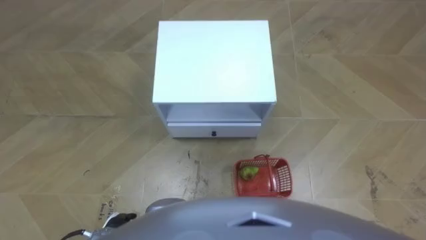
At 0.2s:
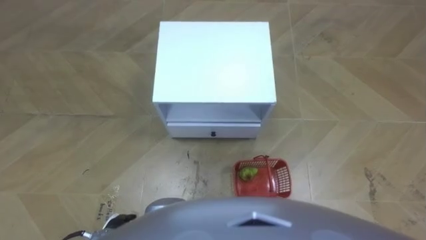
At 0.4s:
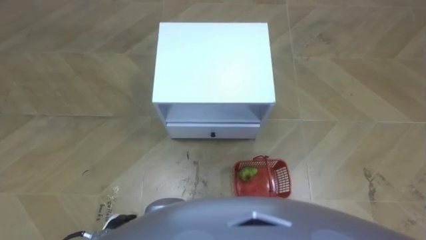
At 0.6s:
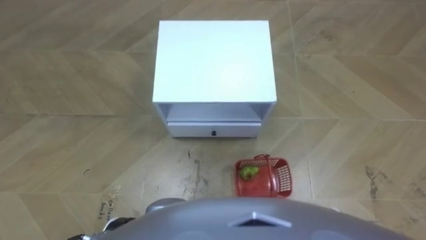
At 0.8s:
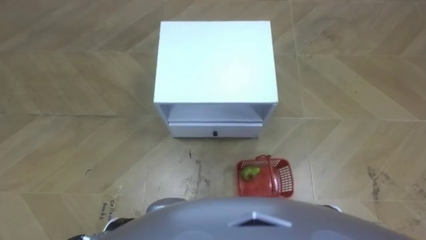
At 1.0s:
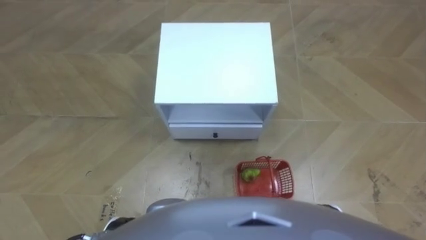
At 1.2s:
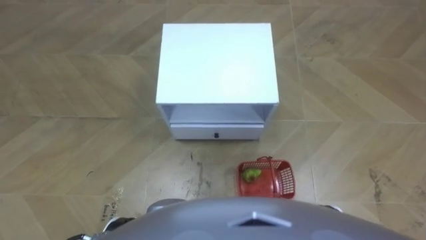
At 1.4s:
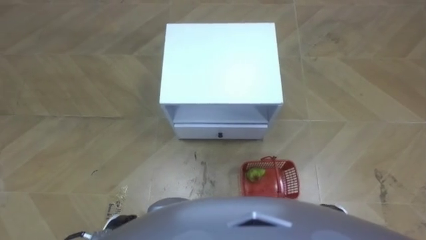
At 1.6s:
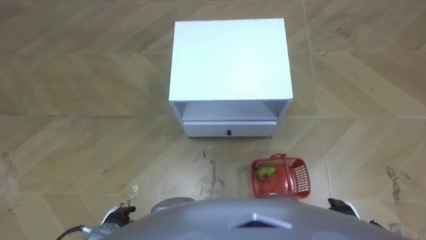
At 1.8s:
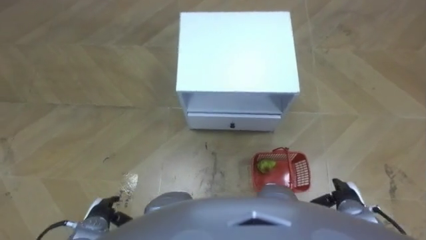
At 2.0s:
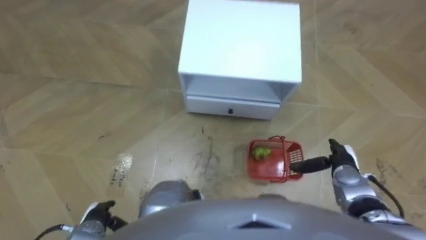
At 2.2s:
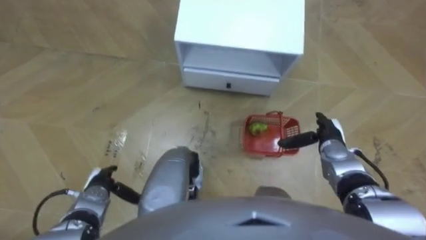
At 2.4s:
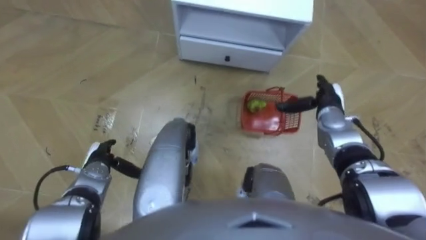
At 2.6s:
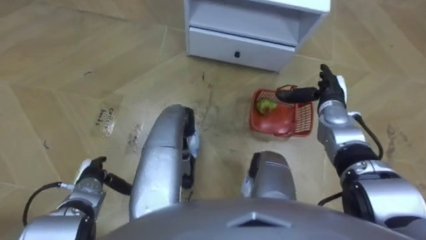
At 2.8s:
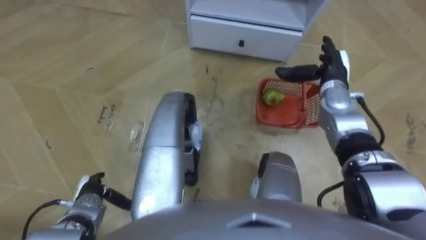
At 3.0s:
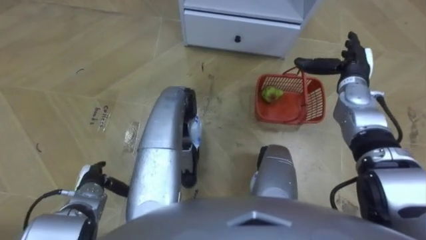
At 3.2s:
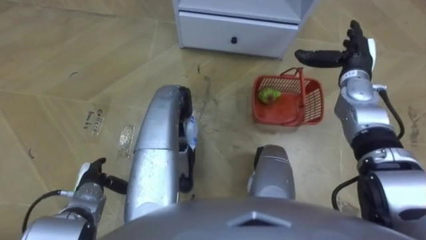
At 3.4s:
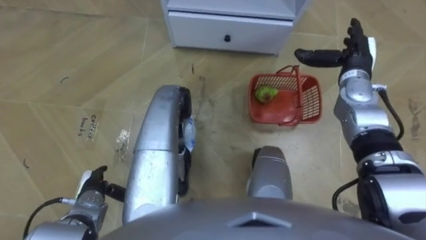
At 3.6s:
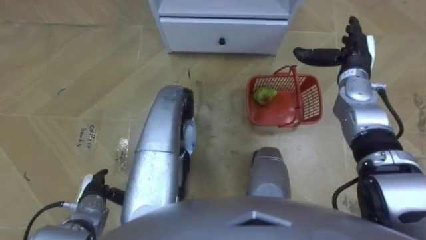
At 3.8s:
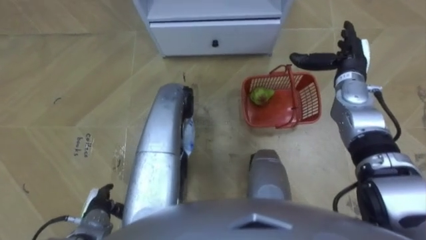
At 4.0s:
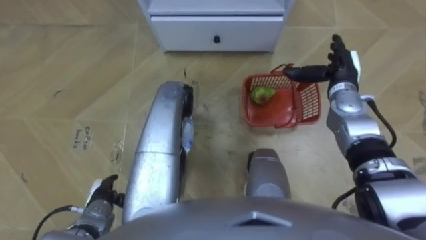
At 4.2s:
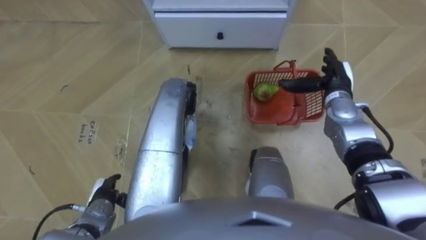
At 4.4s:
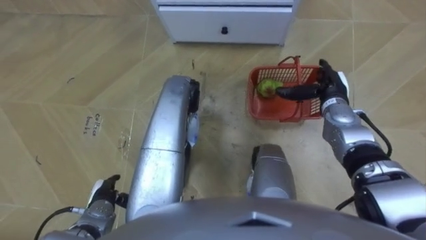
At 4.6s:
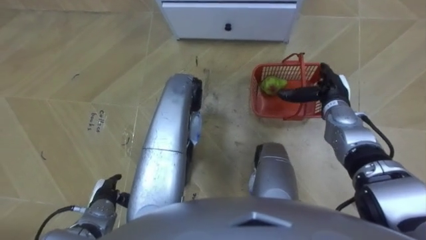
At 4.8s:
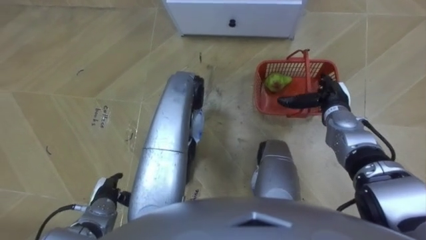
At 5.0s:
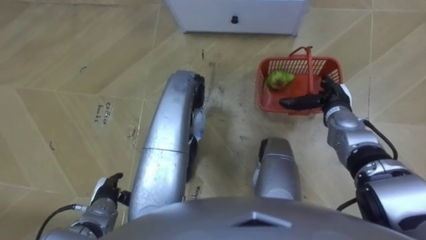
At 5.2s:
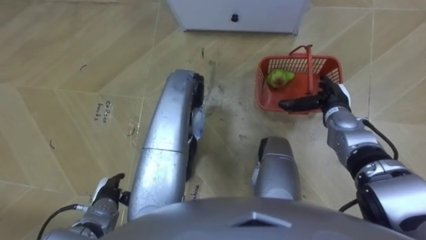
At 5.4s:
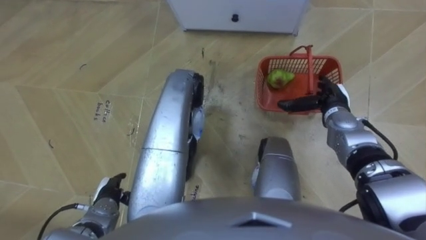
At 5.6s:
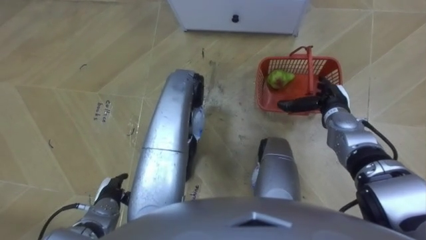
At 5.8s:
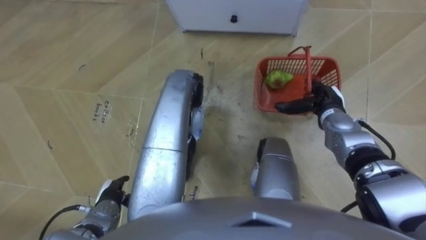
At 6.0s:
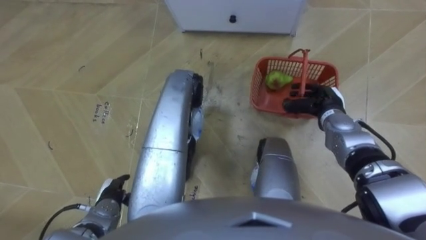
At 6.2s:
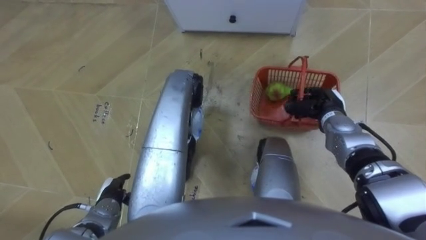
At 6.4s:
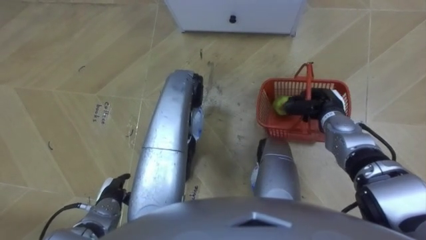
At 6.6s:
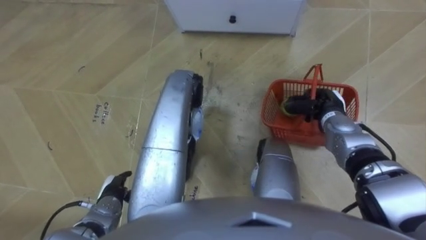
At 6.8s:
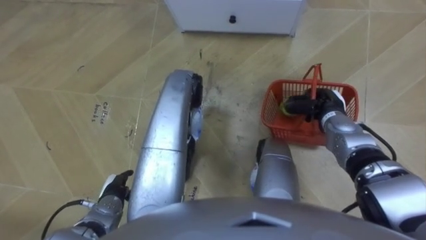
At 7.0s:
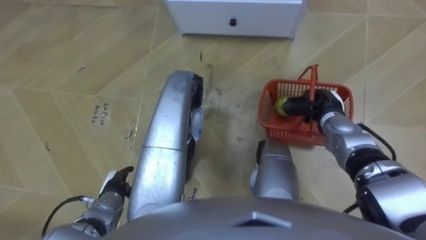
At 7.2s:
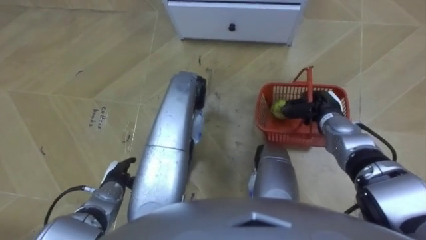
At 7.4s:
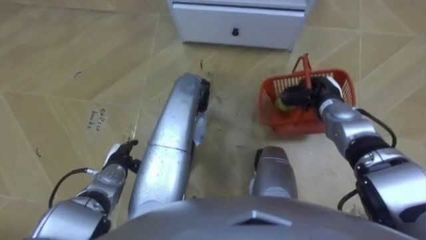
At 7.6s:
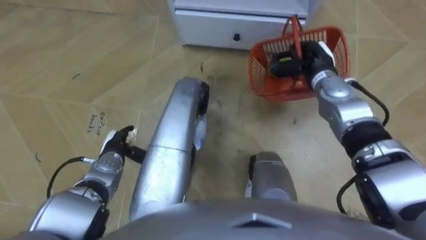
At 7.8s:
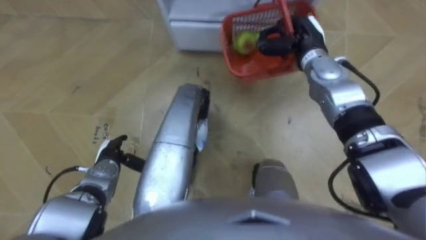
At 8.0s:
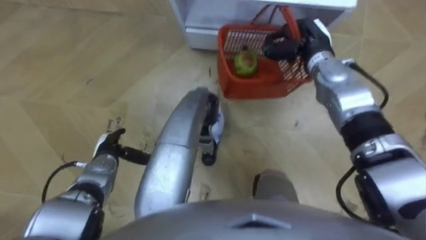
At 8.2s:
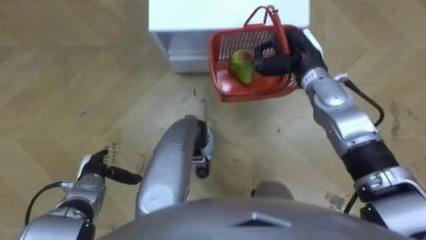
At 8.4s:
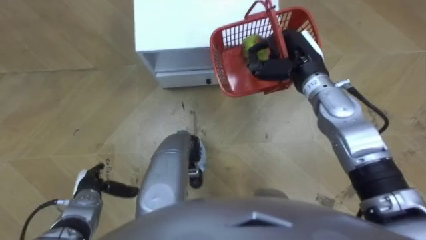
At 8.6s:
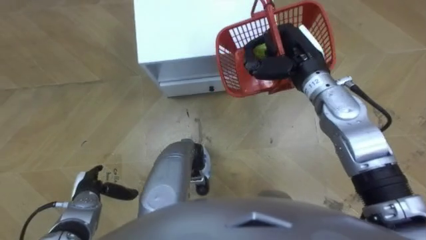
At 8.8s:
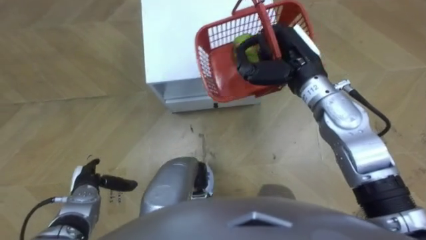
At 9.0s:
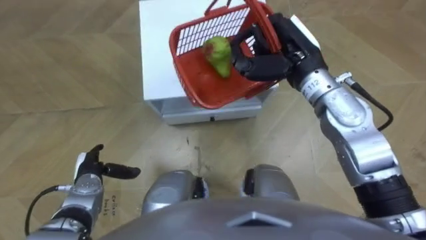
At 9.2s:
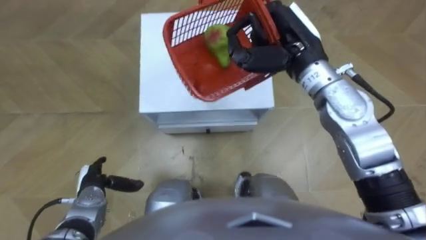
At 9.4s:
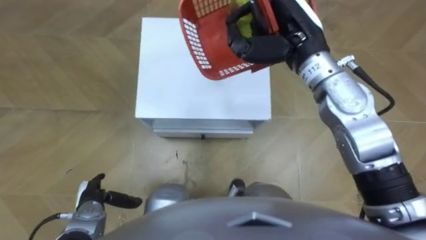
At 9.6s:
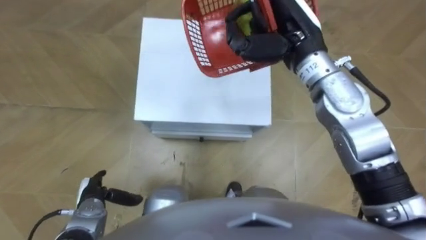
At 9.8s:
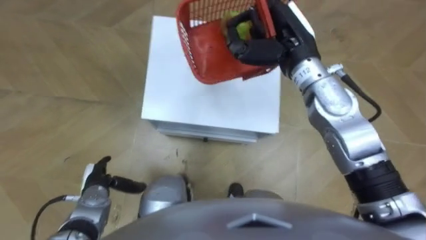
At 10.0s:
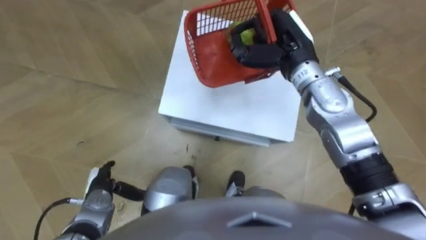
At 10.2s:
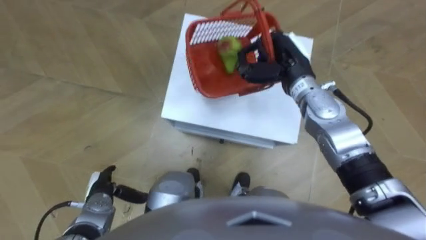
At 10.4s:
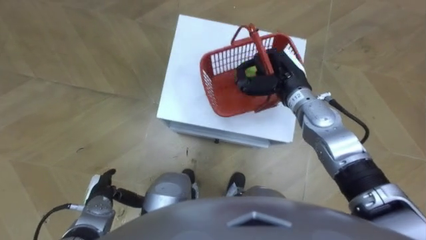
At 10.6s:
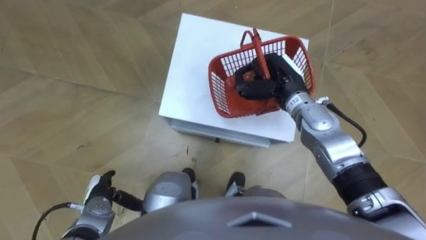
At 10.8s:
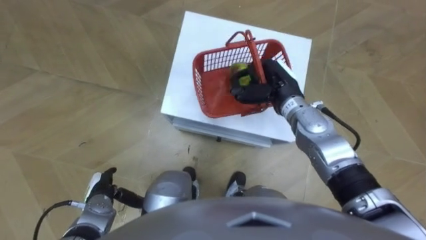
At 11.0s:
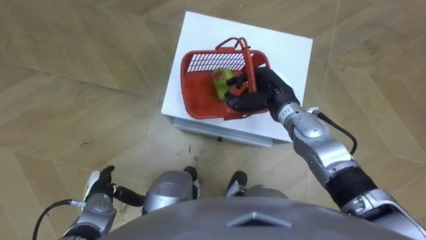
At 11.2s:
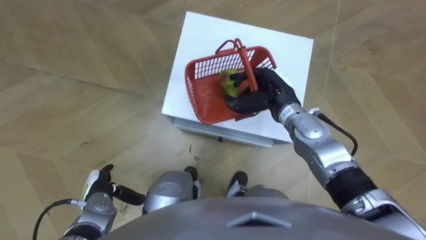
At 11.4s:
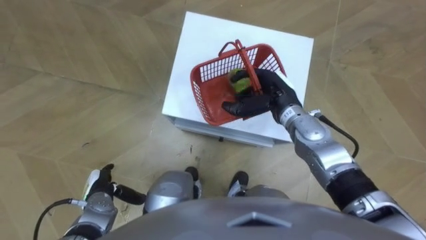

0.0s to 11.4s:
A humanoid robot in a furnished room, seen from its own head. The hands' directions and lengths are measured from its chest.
Task of the whole recording: Pick up the fruit basket from the floor and place it on the cabinet.
1.4s to 2.8s: The right hand travels forward and upward by some 35 cm. Meanwhile the left hand heads forward and to the left, covering roughly 10 cm.
4.2s to 5.6s: The right hand moves roughly 5 cm.
5.6s to 7.2s: The right hand closes its fingers.
7.2s to 8.6s: The left hand heads to the left, covering some 5 cm, and travels forward and back again, some 5 cm each way. Meanwhile the right hand moves upward and to the left, about 20 cm.
10.0s to 11.4s: The right hand is displaced downward by about 10 cm, and opens.

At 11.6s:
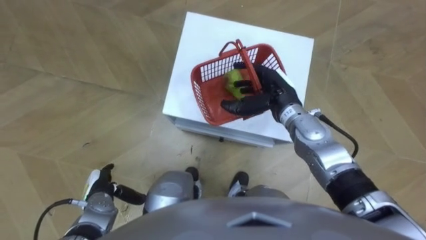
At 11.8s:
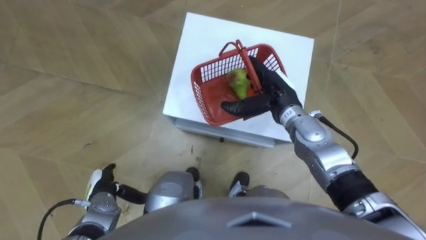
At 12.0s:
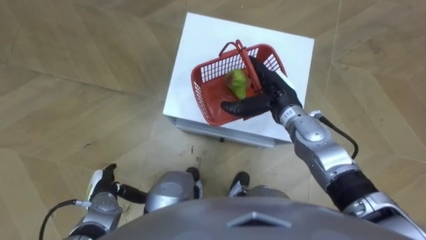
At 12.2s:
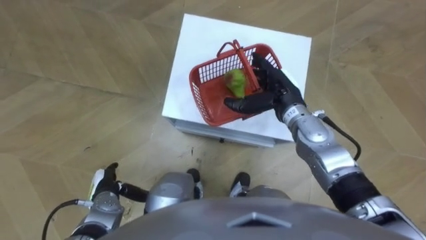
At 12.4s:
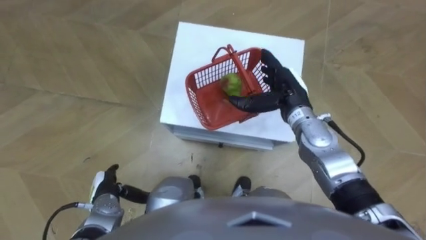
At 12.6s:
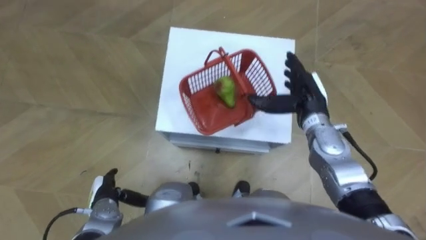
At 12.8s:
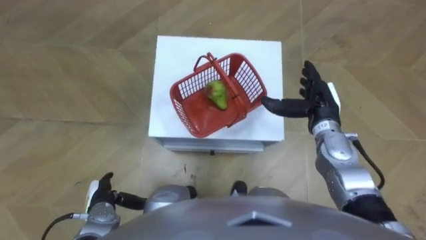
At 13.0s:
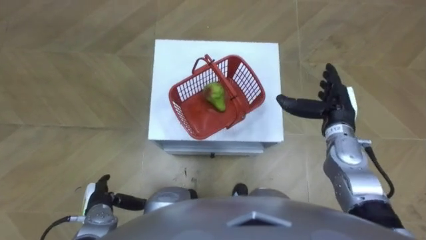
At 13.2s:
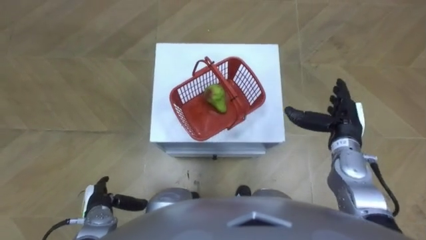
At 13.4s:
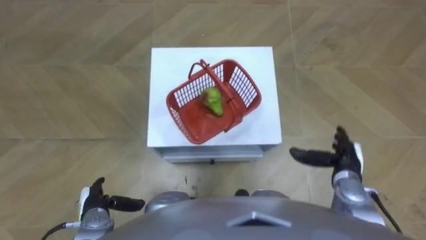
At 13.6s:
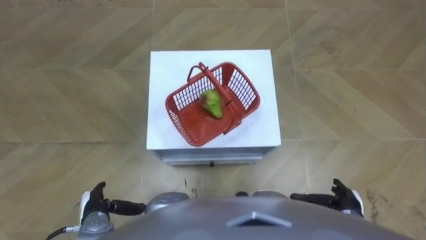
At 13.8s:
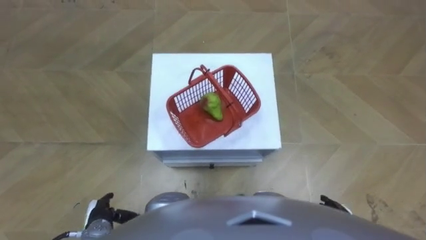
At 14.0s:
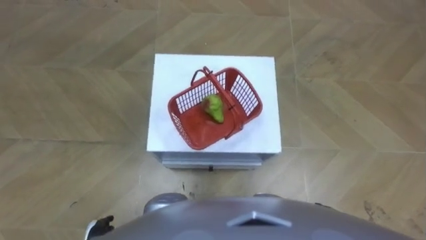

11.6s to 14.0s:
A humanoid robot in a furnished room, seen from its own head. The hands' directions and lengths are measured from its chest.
Task of the whole recording: Pick up the fruit basket from the floor and place it on the cabinet.
11.6s to 12.8s: The right hand shifts some 10 cm to the right.
12.8s to 14.0s: The right hand heads backward and downward, covering some 30 cm. The left hand heads backward, covering approximately 10 cm.

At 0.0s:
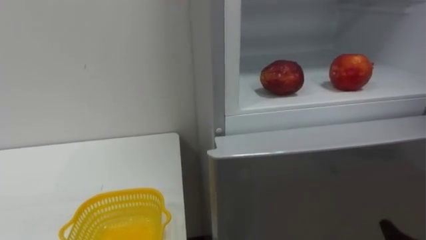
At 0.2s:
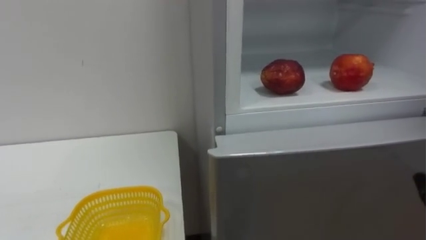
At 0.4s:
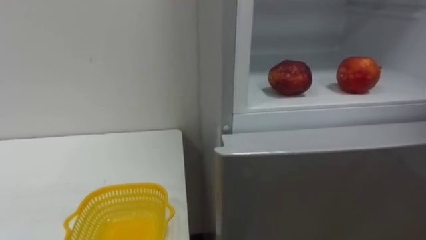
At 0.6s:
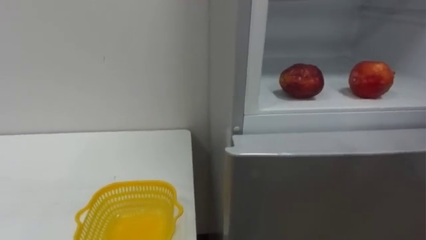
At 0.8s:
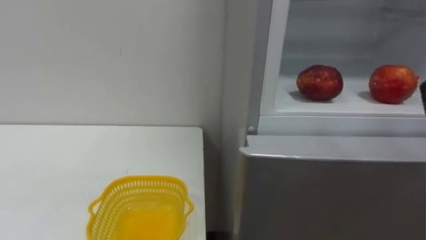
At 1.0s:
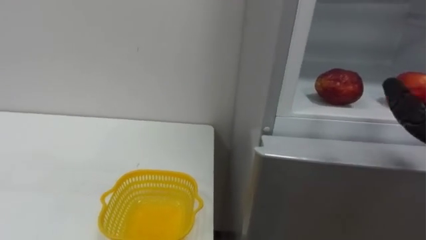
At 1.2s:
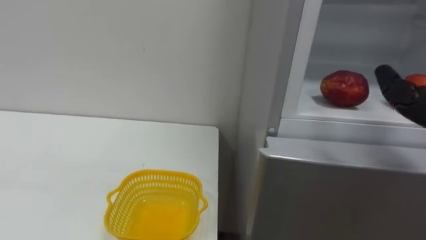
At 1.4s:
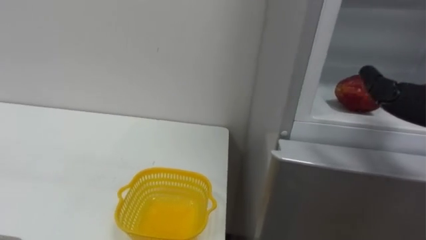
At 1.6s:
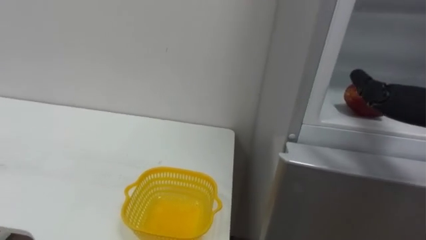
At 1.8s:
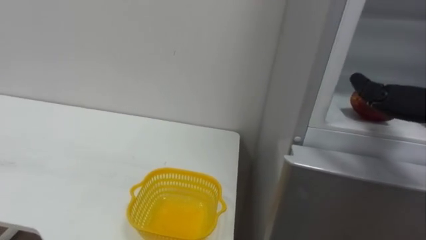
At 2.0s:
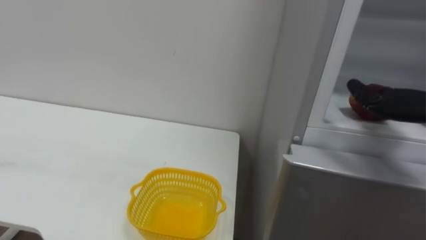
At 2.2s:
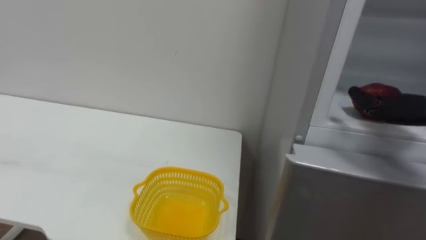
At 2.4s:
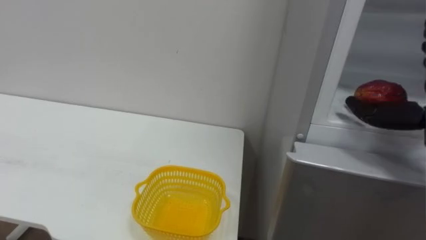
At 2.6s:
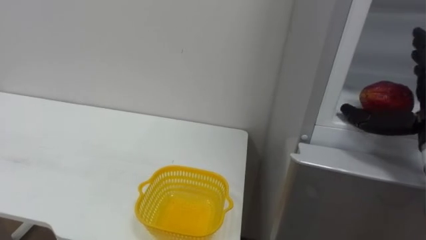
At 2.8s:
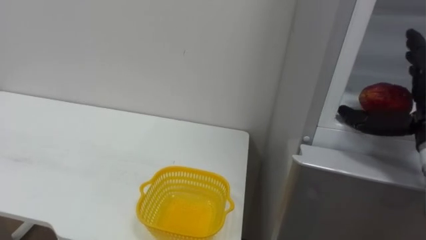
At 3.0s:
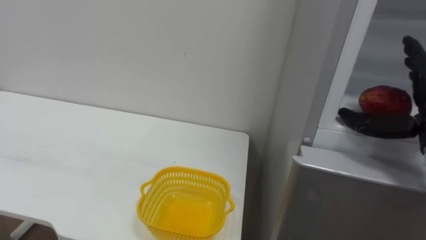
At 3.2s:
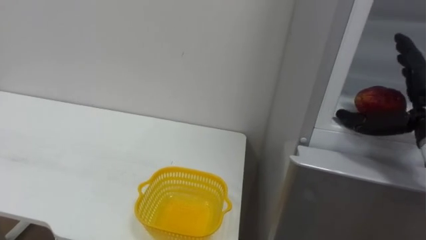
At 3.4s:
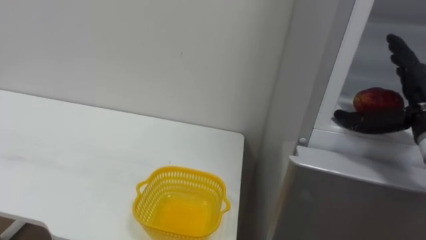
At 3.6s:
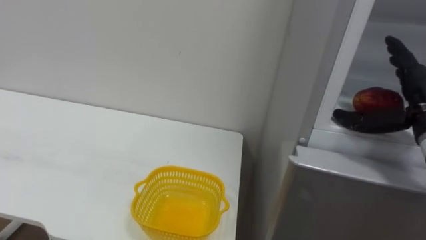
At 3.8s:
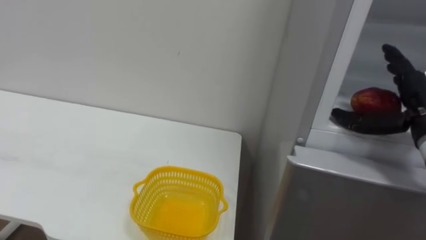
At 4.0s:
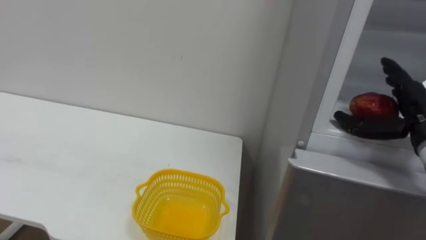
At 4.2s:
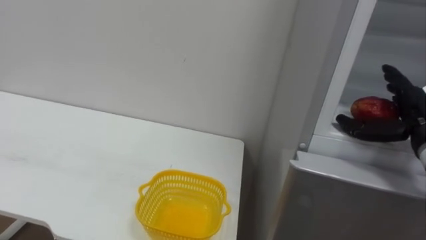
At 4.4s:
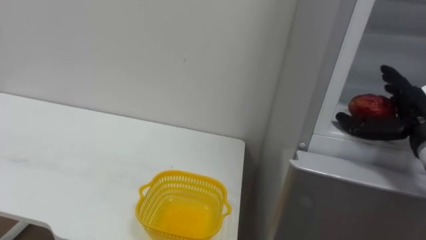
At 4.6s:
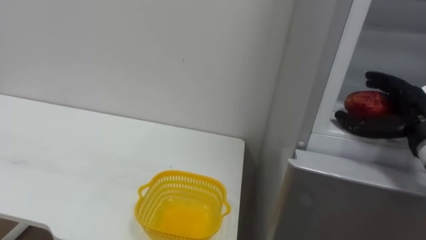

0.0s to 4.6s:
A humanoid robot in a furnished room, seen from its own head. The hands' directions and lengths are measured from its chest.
Task of the whole recording: Open the refrigerator door, take out the apple and the pomegranate, place them in the fruit basket on the left, and close the refrigerator door.
3.0s to 4.6s: The right hand ends up roughly 5 cm from where it was.
